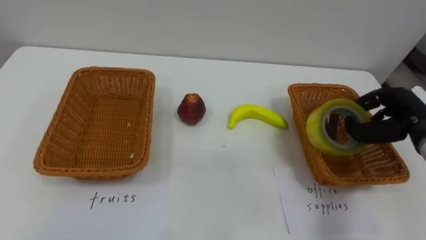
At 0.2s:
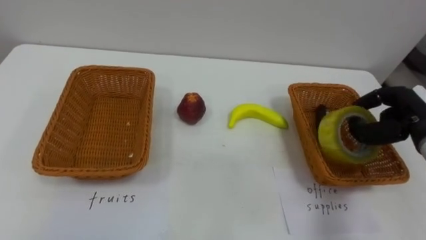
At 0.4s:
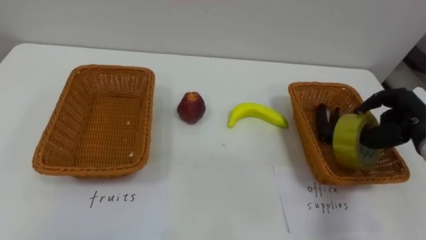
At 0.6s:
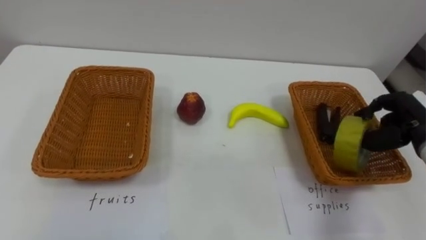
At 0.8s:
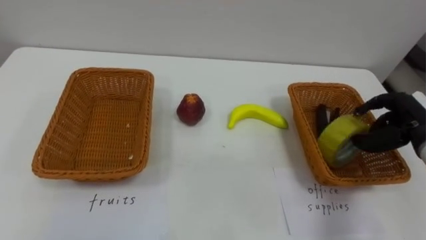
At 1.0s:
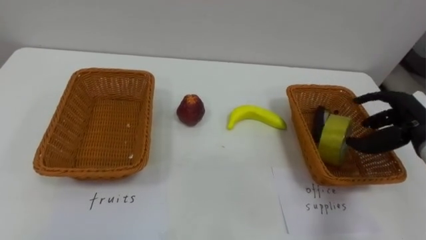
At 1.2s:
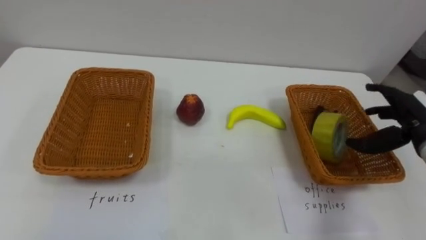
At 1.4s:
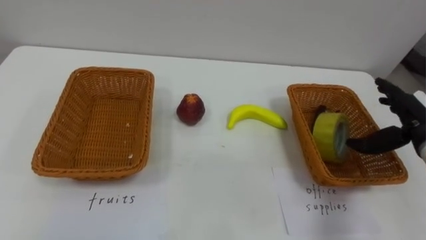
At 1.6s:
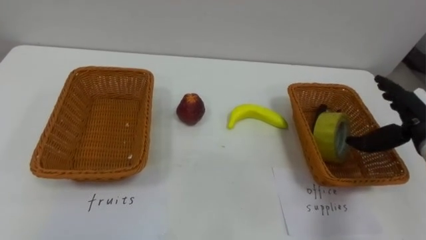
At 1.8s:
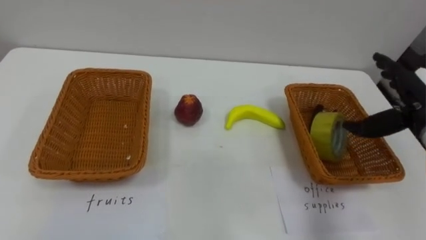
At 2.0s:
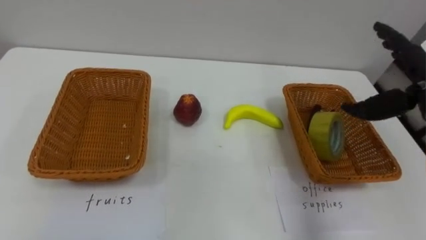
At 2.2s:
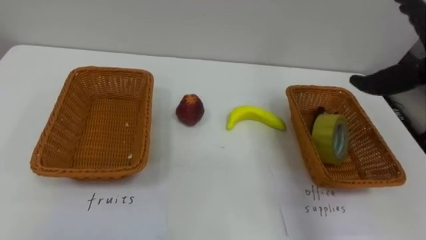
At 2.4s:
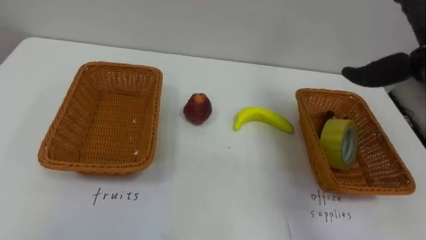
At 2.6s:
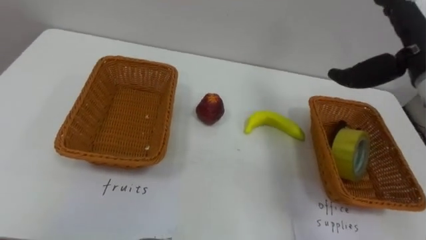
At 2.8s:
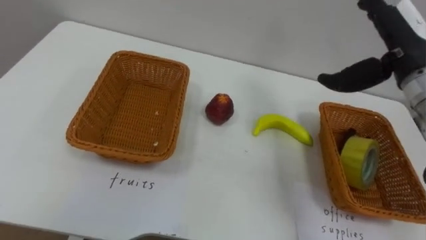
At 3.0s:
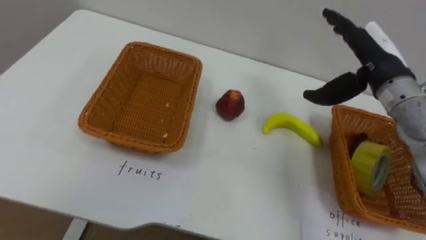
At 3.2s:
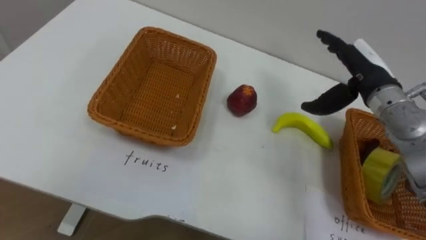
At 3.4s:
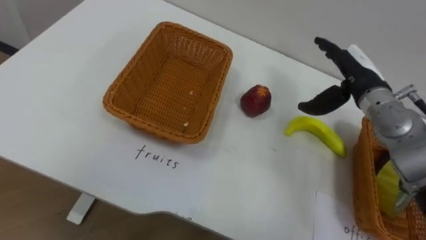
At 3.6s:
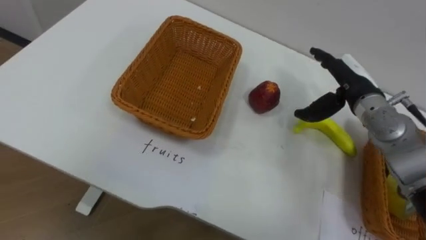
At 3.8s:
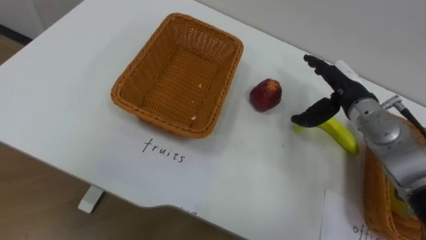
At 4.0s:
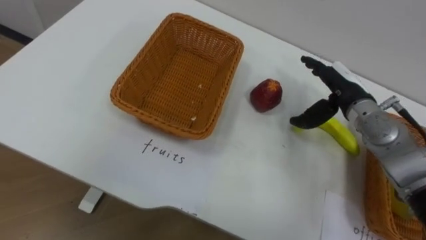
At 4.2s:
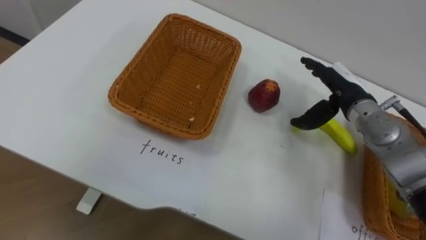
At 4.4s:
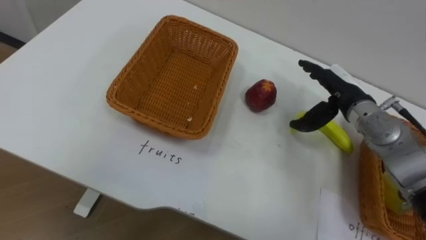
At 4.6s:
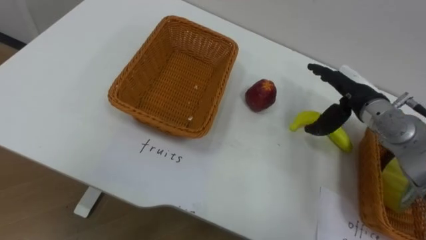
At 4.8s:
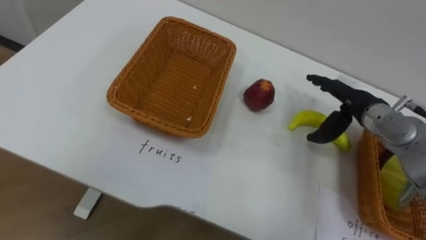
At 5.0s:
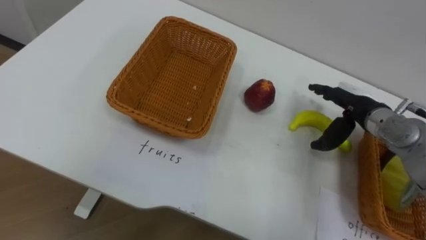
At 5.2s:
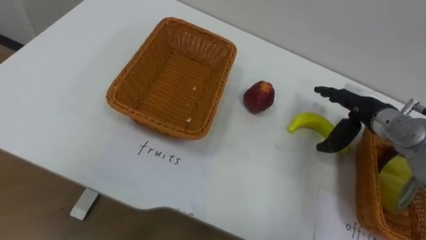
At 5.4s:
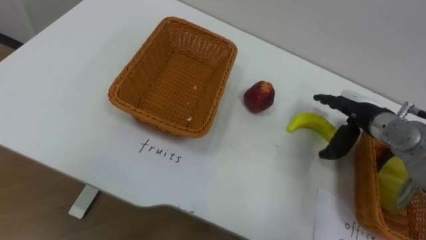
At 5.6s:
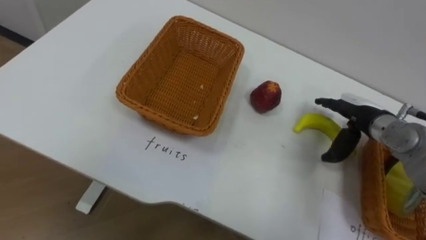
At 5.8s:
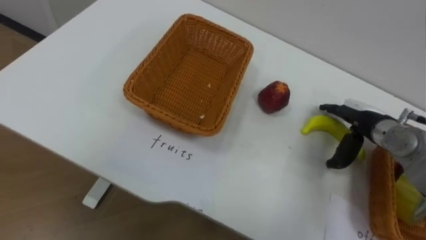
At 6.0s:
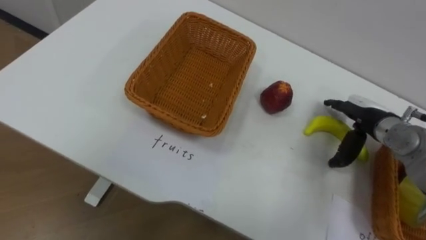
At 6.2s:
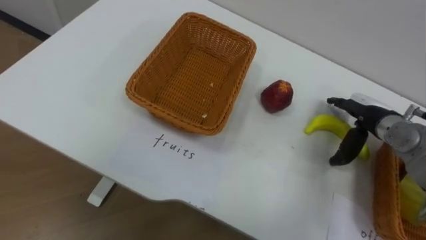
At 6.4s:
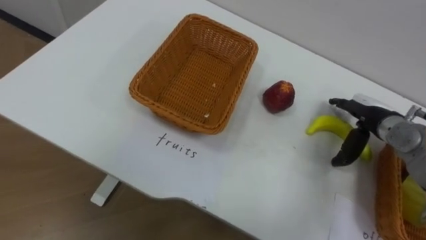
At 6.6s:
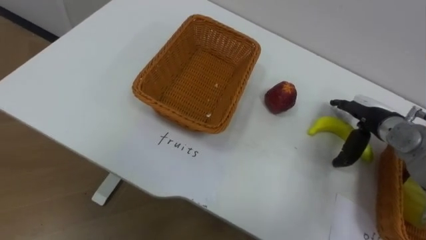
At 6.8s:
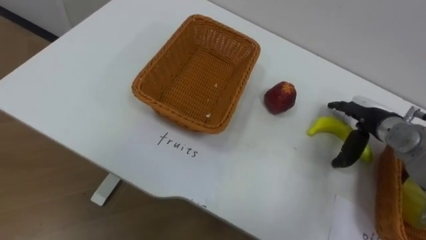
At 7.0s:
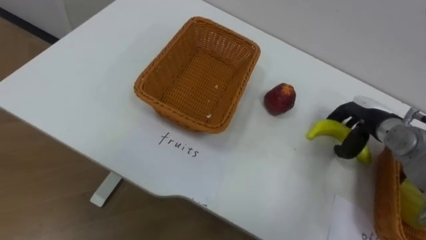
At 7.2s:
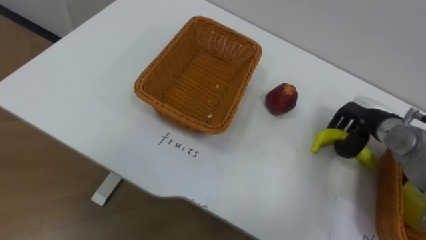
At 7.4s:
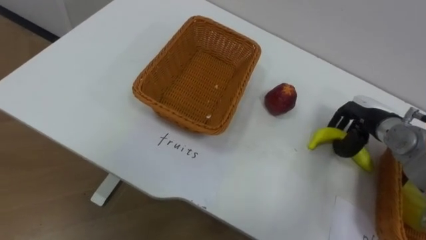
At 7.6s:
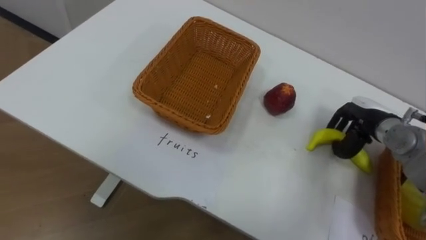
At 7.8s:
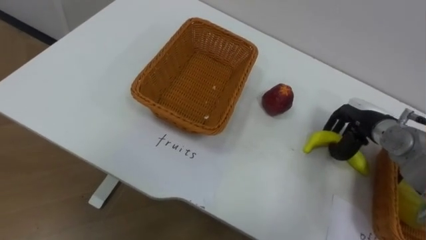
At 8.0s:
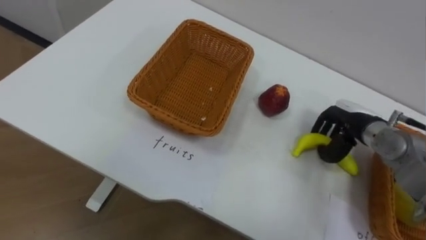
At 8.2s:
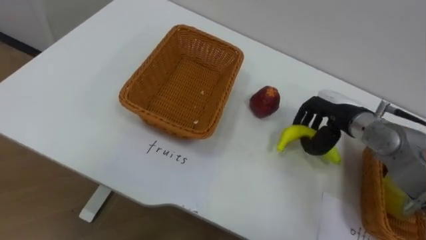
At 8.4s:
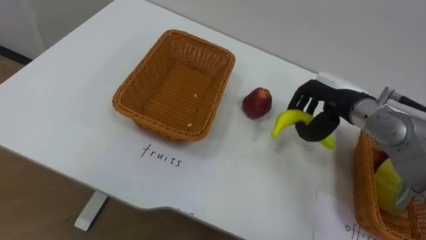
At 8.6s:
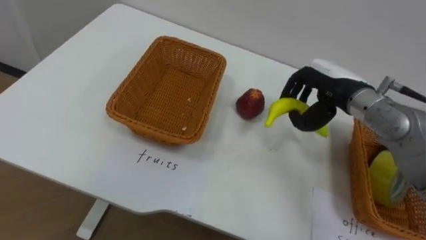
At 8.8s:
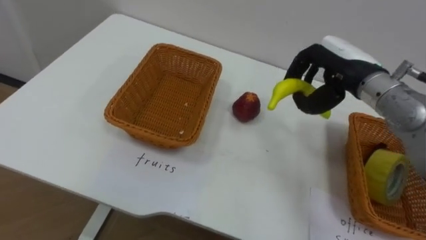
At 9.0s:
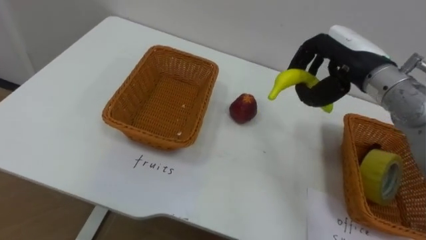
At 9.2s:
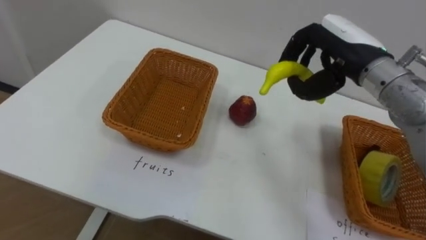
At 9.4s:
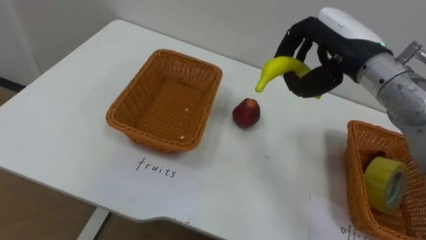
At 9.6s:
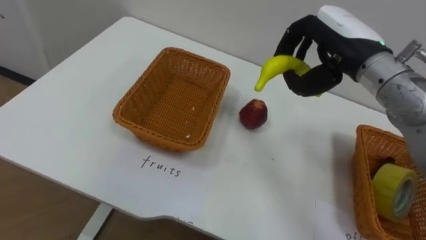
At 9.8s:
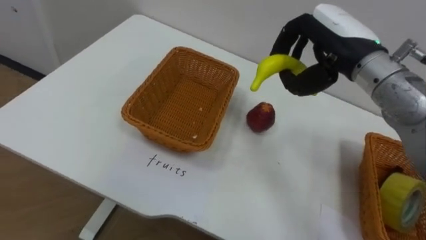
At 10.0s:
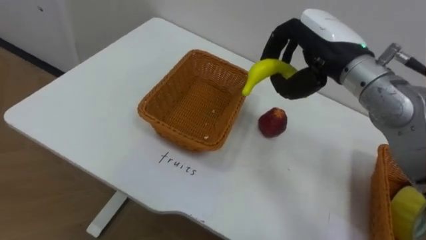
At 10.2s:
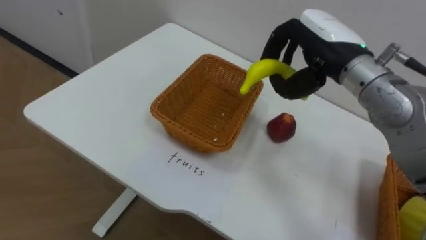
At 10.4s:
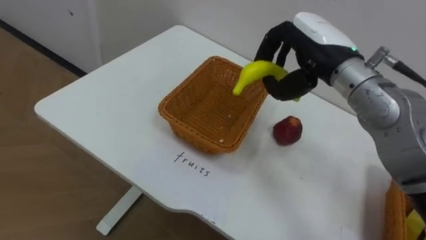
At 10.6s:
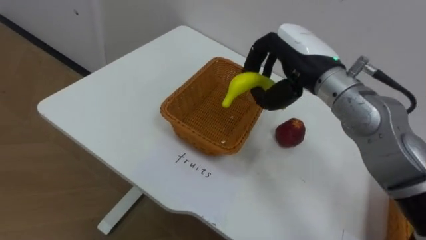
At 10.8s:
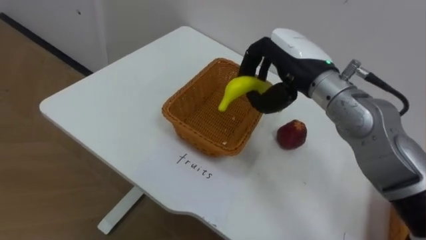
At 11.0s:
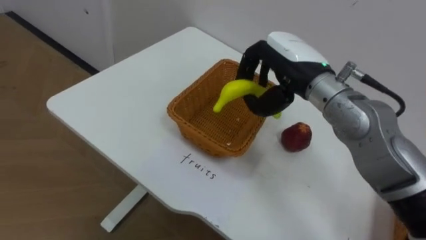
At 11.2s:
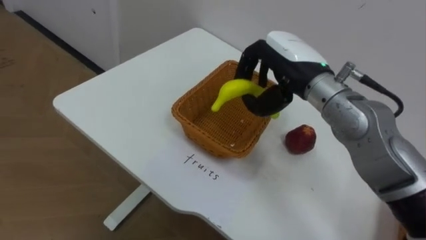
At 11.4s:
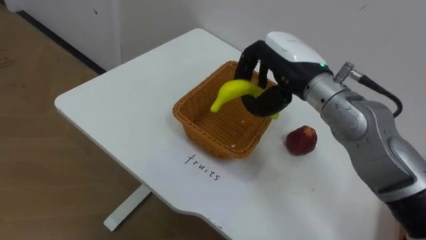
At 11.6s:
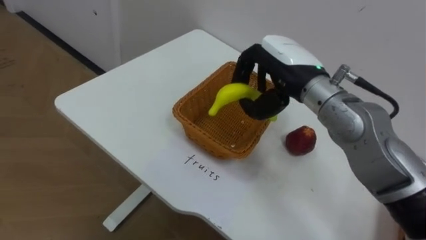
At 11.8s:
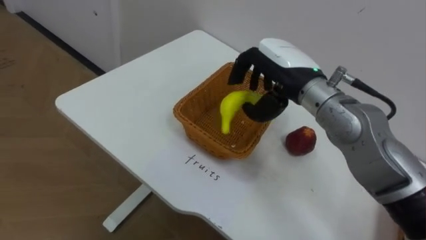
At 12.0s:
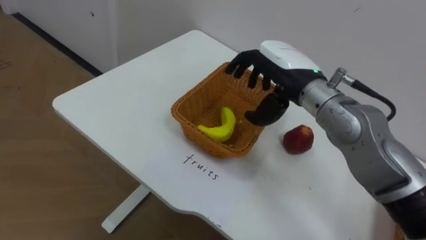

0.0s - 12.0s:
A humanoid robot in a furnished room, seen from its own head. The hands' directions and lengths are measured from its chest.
Task of the whole recording: Separate the items on the table and place them into the two baskets.
0.0s - 1.6s: The right hand opens up.
3.0s - 4.4s: The right hand is displaced downward by about 10 cm.
4.4s - 6.0s: The right hand shifts about 5 cm to the right.
6.0s - 7.6s: The right hand closes up.
7.6s - 9.0s: The right hand moves upward and to the left, about 15 cm.
9.0s - 10.4s: The right hand heads to the left, covering about 5 cm.
10.4s - 12.0s: The right hand moves some 5 cm.

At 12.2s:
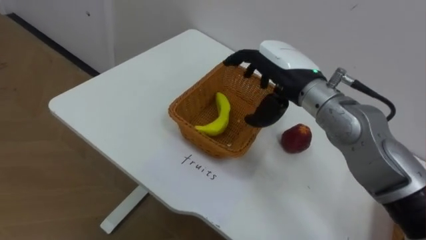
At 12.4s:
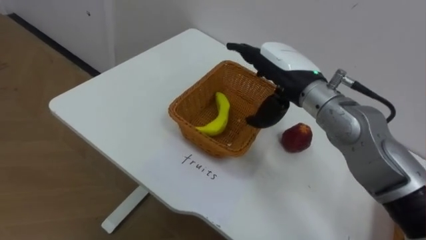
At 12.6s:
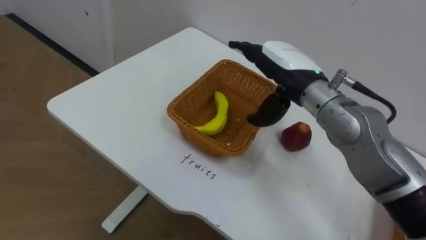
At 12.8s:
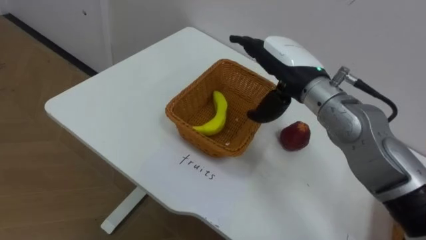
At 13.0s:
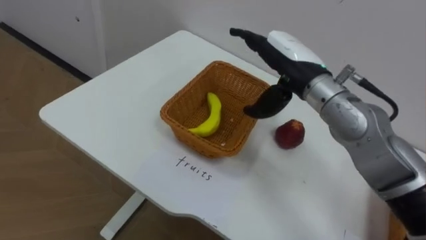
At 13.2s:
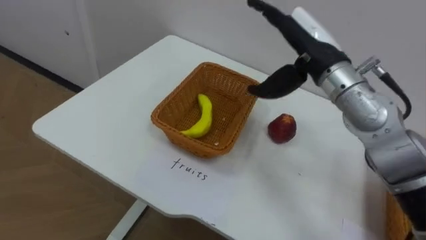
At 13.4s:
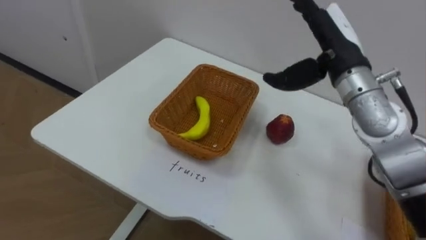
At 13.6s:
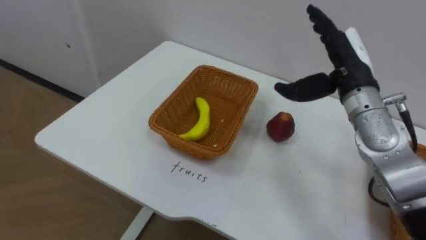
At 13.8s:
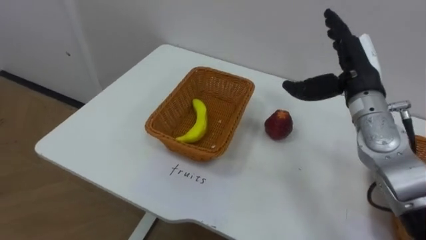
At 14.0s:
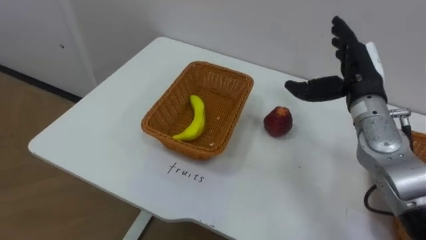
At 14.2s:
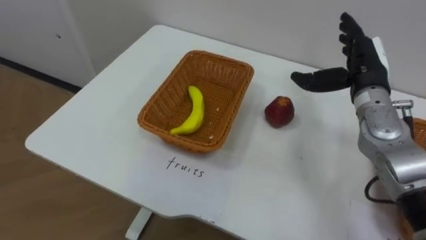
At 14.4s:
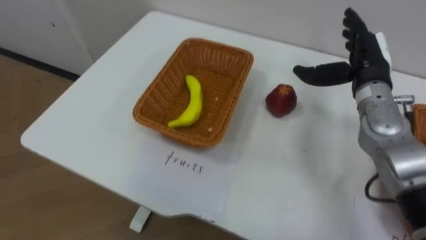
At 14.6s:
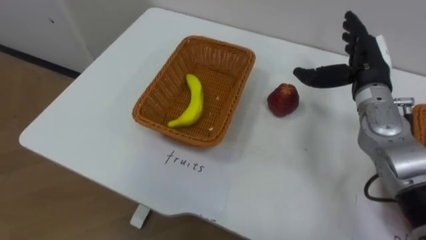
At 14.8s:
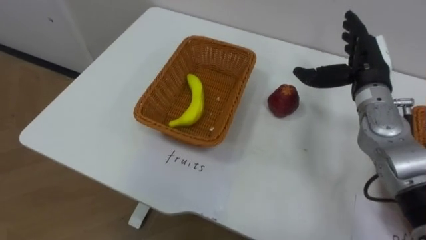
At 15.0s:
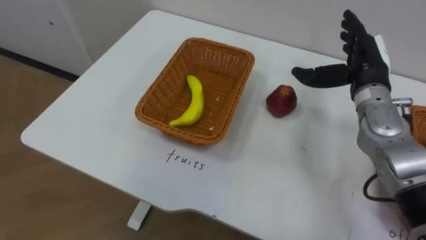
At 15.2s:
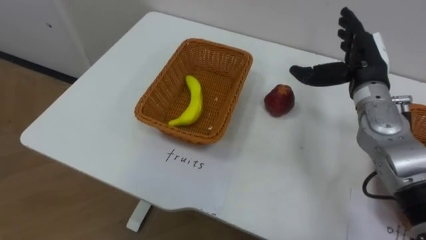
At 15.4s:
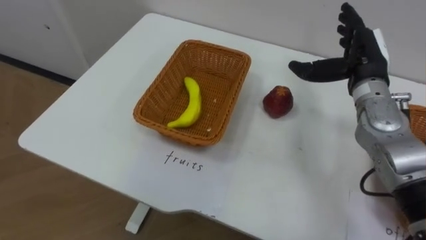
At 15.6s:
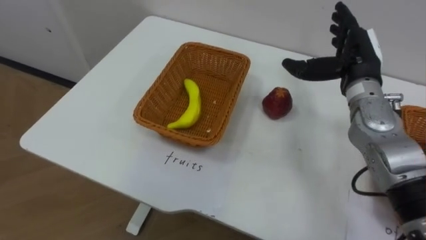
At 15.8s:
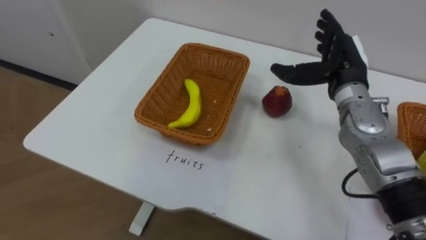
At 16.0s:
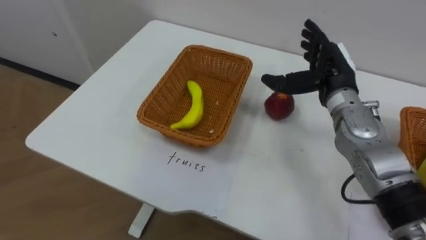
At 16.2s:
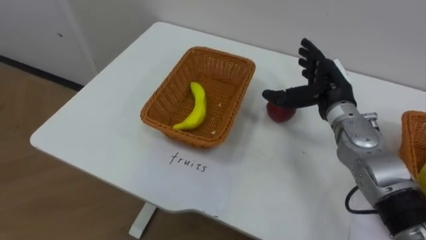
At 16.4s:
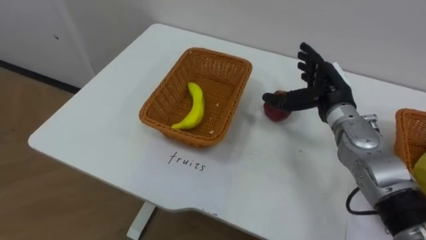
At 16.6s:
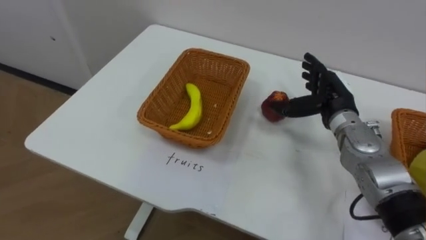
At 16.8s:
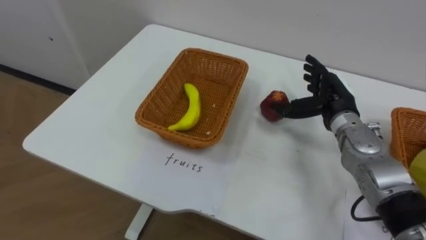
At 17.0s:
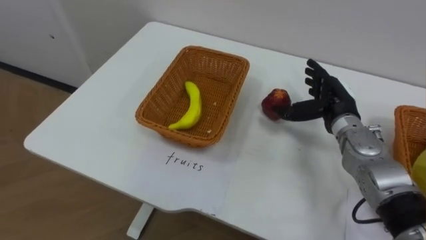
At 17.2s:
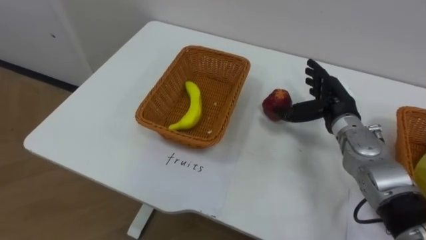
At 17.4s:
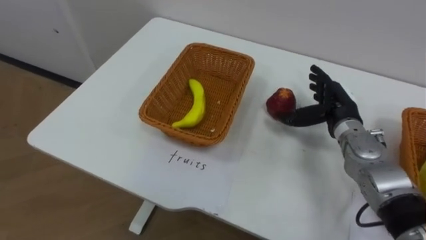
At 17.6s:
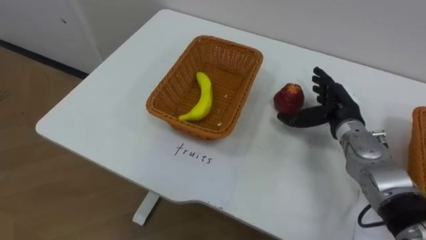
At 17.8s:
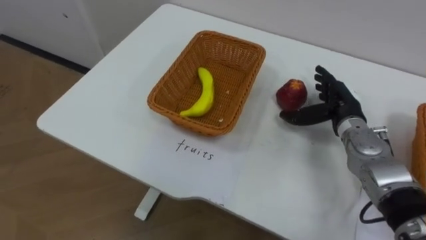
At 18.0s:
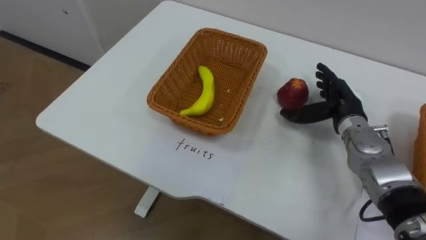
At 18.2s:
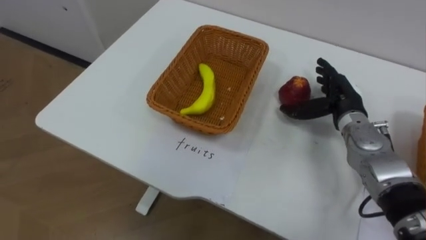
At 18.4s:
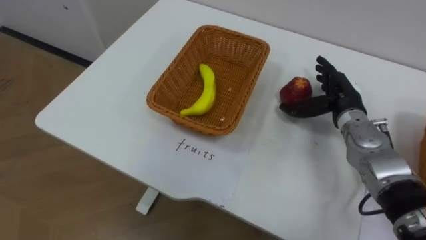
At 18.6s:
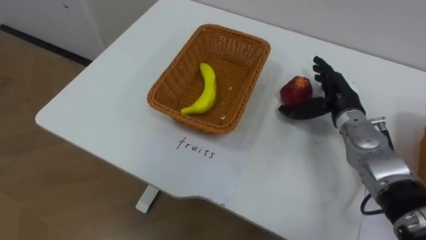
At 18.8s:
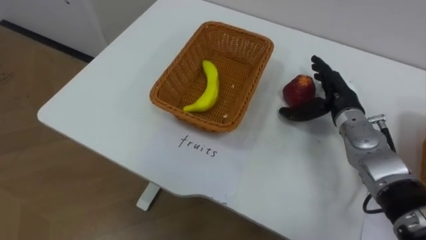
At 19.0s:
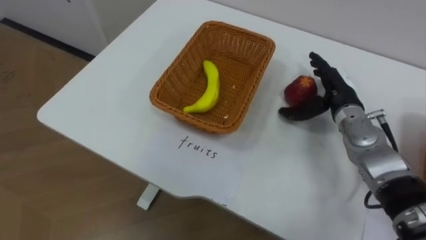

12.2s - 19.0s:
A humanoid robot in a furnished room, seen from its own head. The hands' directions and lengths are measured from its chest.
Task of the whole recording: Separate the items on the table and place them into the two baskets.
12.2s - 13.6s: The right hand shifts approximately 10 cm to the right.
13.6s - 15.0s: The right hand moves roughly 5 cm.
15.0s - 16.2s: The right hand moves approximately 5 cm.
16.2s - 17.6s: The right hand moves downward, about 5 cm.
